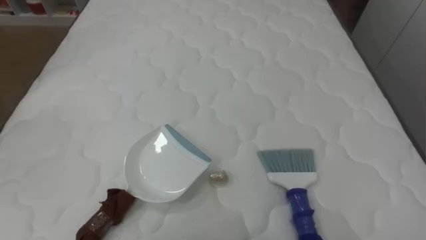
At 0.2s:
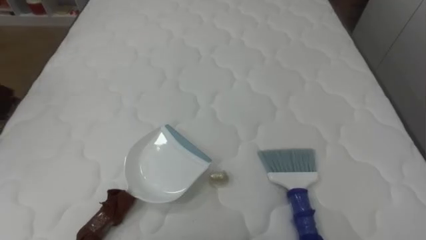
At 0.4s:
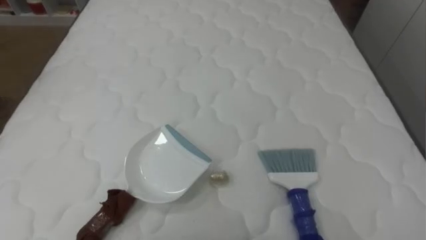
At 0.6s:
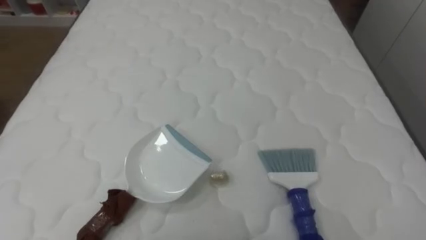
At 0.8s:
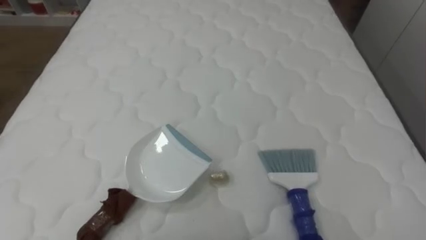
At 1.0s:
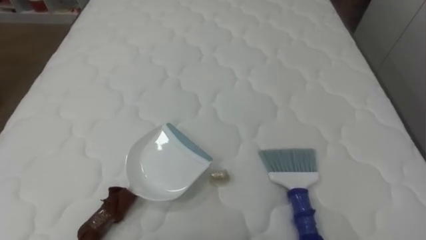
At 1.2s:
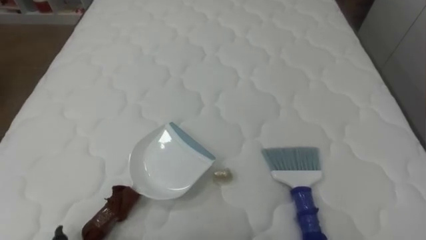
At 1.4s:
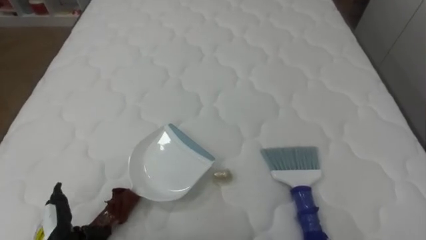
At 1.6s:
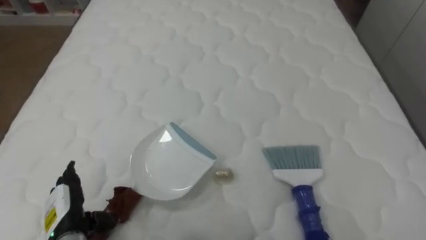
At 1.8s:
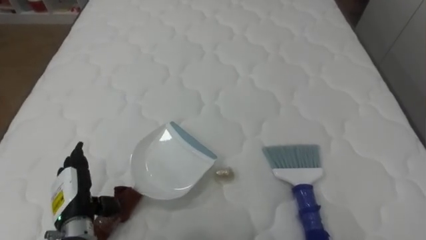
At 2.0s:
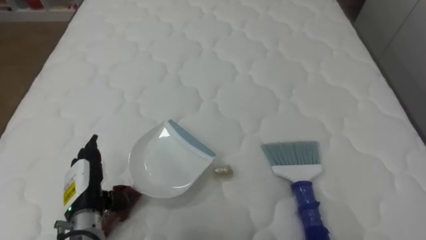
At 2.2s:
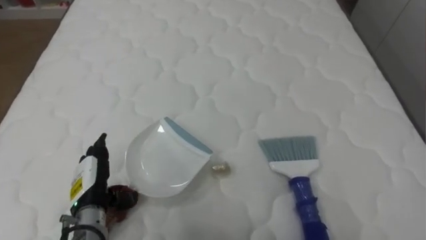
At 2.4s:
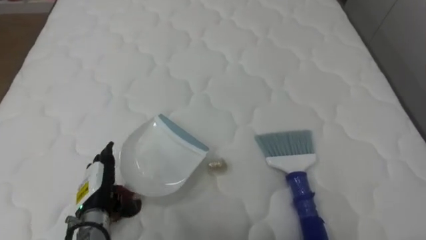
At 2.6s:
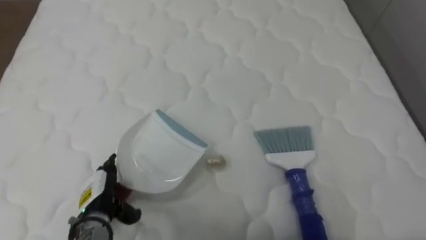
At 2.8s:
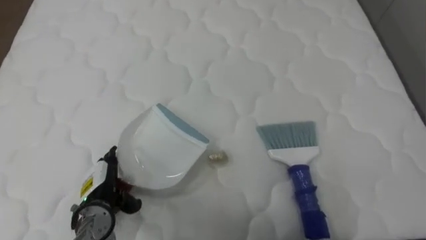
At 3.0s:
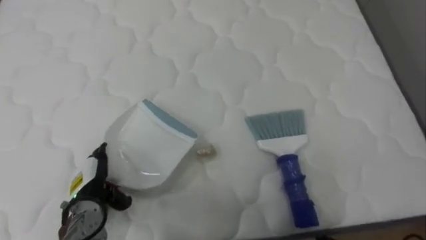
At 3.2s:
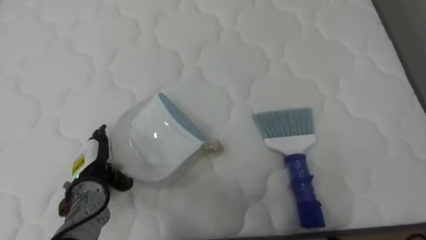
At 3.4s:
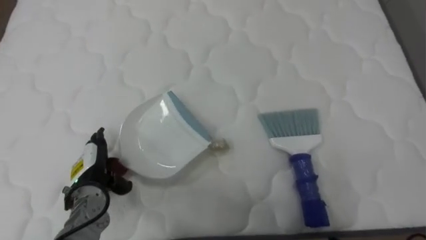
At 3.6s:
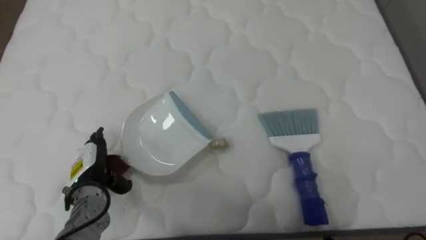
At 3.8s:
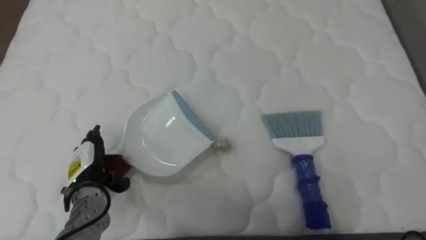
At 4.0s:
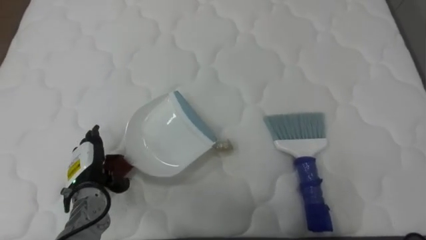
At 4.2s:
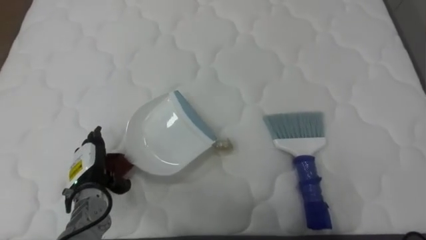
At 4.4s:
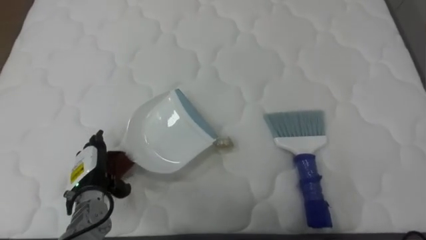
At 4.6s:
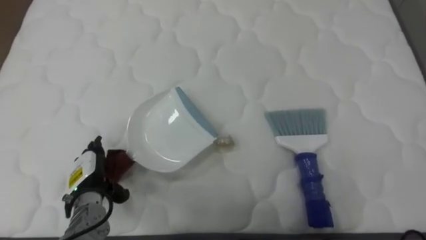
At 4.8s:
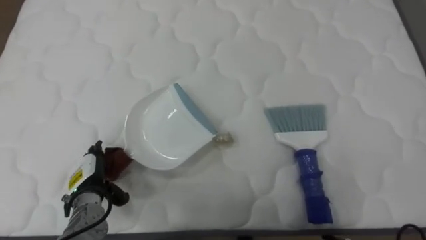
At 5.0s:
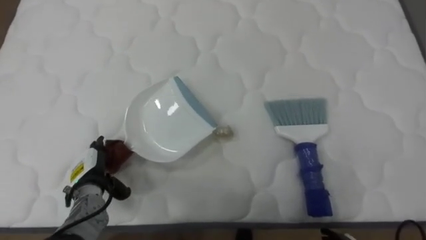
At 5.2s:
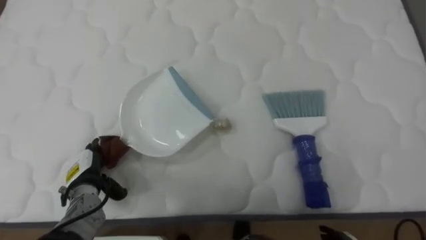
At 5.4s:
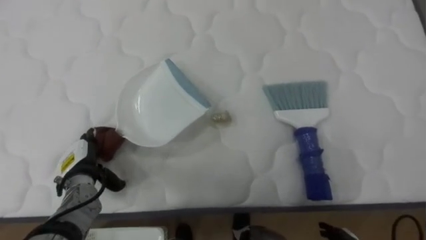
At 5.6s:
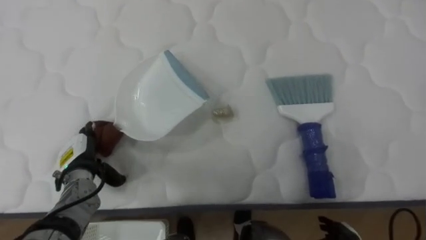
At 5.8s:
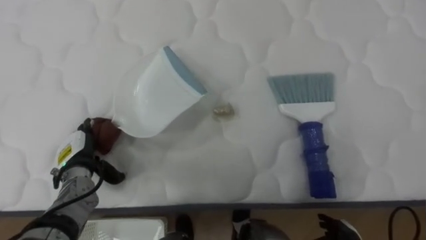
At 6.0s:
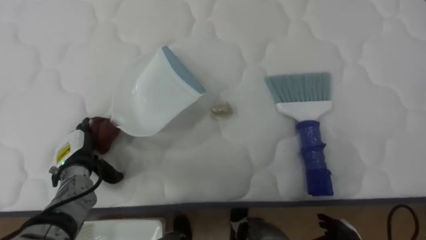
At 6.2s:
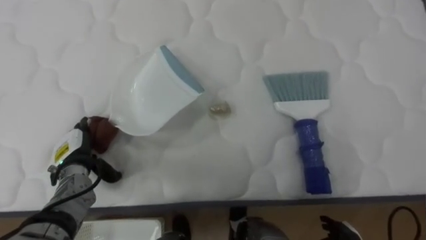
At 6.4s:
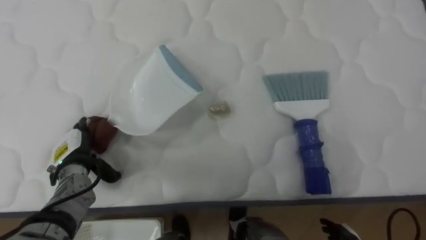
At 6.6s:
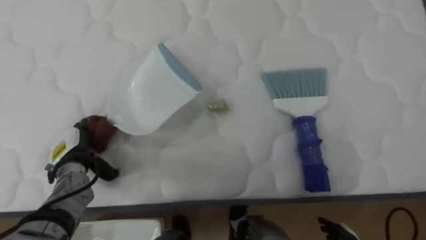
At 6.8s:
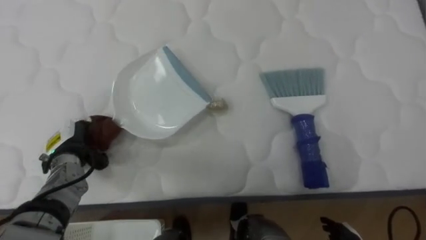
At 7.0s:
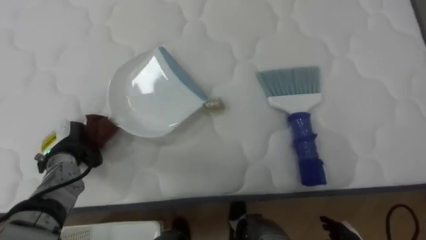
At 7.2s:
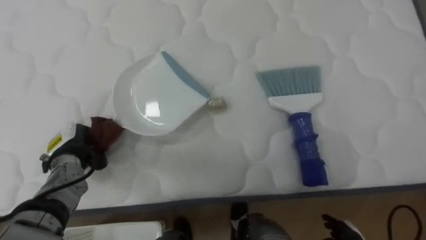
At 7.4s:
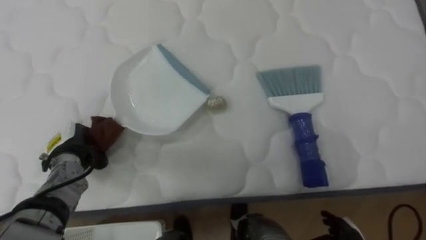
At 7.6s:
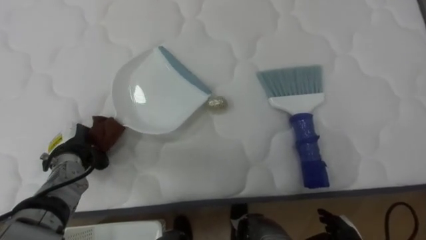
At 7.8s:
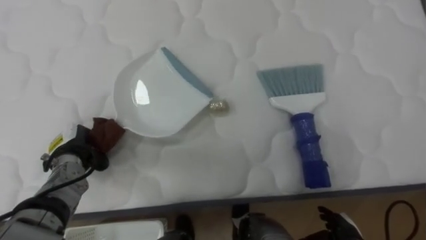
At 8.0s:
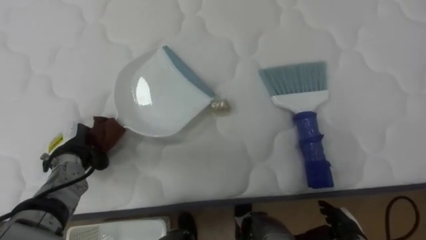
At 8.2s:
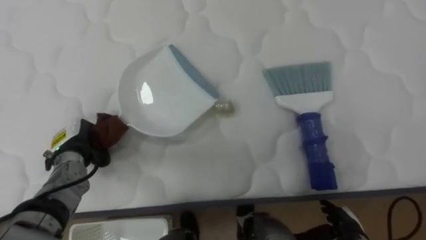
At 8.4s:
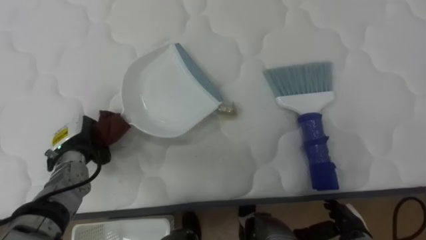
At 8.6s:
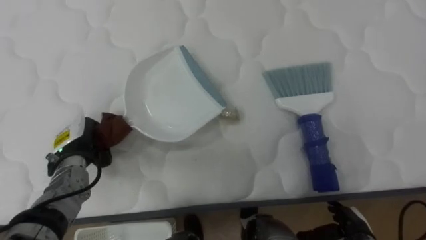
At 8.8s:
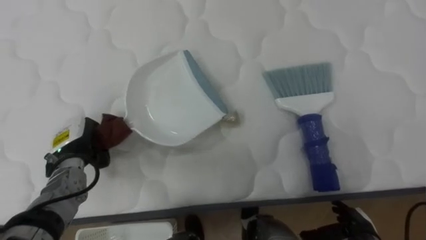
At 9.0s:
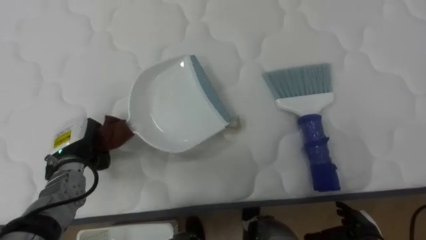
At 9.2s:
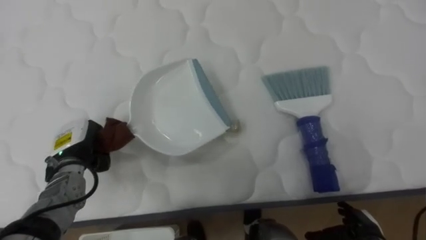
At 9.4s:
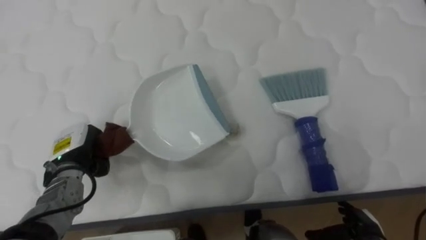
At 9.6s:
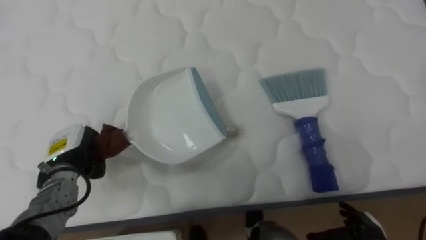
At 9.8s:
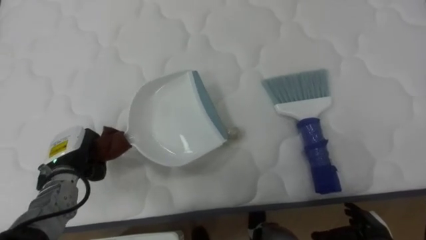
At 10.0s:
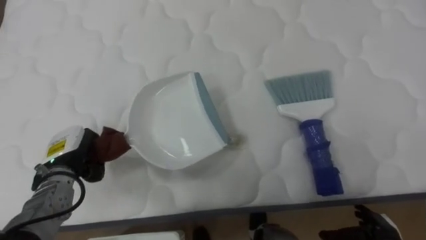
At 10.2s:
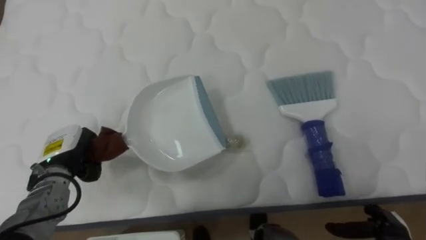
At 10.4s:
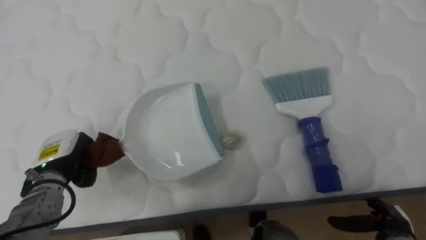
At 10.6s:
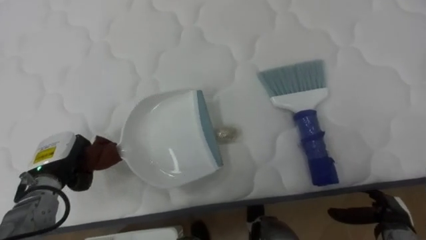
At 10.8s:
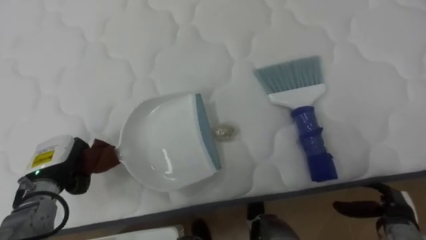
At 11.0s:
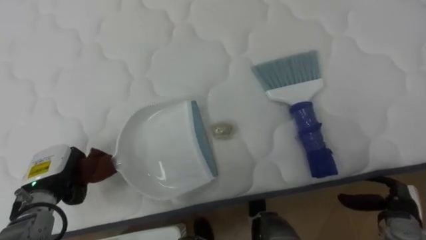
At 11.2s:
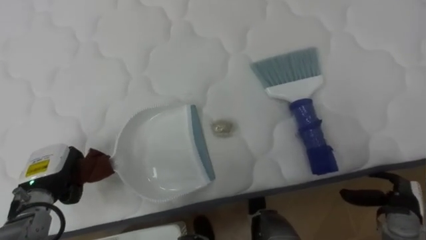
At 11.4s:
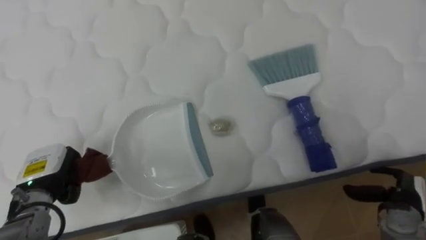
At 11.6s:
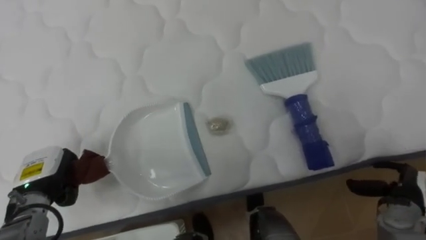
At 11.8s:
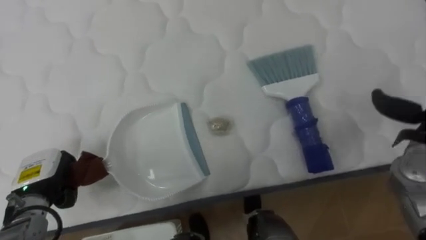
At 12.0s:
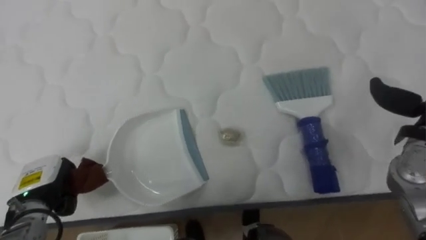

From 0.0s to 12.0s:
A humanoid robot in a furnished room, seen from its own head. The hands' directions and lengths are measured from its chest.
Task of the whole recording: Pick up the brush on your right and the dustpan on your left. Use the brush to sweep the crumpled paper on the bed into the dustpan, then turn left and empty it into the basket.
From 1.6s to 3.0s: The left hand travels forward by some 5 cm.
From 6.0s to 7.6s: The left hand closes up.
From 9.0s to 10.4s: The right hand shifts about 5 cm to the right.
From 10.4s to 12.0s: The left hand heads backward, covering approximately 5 cm.

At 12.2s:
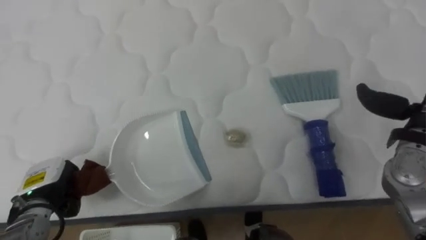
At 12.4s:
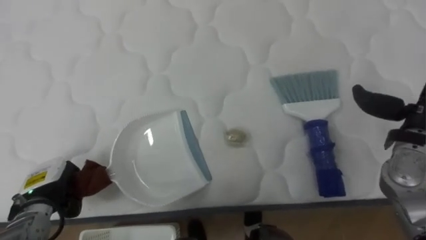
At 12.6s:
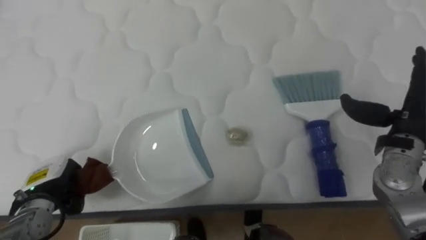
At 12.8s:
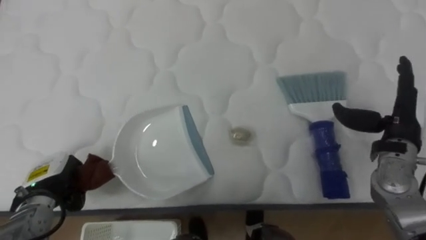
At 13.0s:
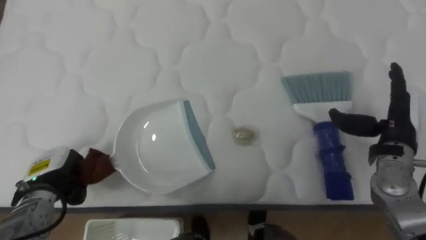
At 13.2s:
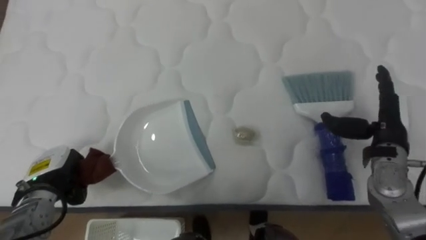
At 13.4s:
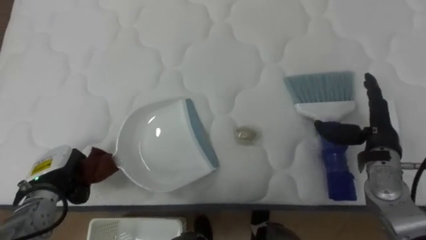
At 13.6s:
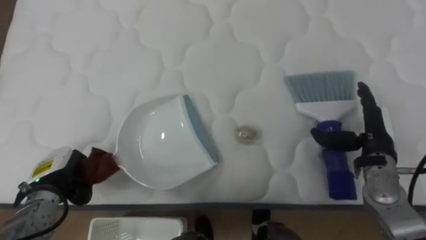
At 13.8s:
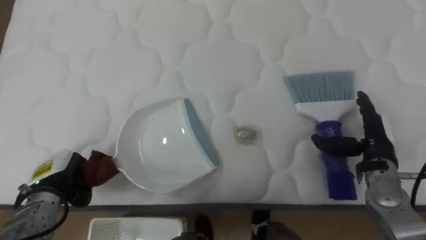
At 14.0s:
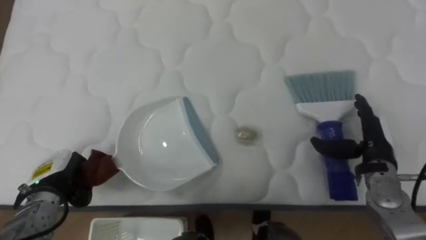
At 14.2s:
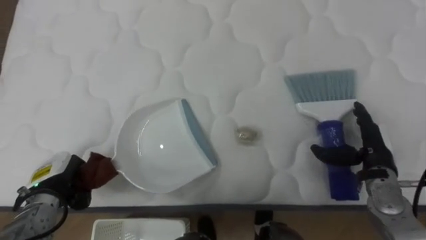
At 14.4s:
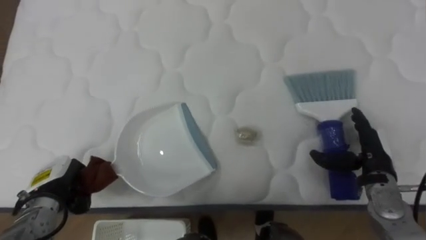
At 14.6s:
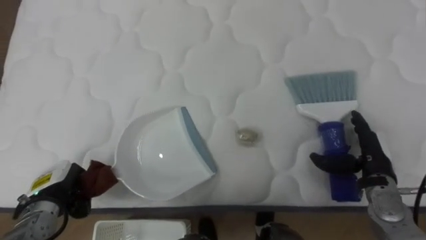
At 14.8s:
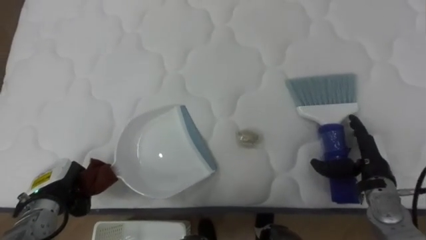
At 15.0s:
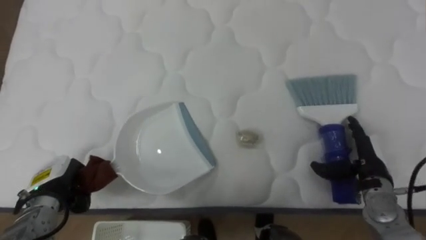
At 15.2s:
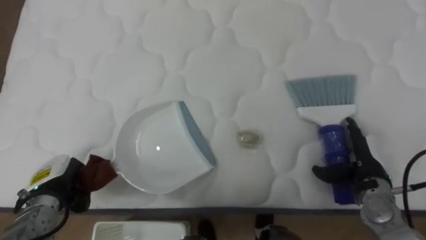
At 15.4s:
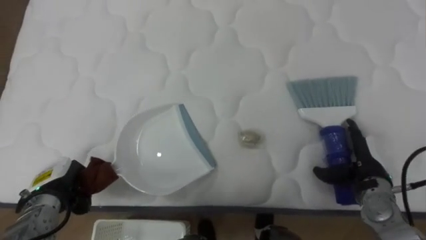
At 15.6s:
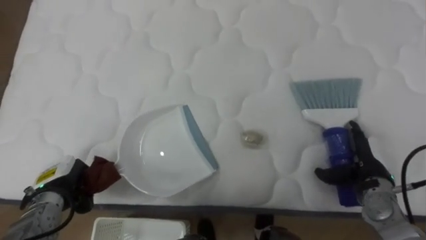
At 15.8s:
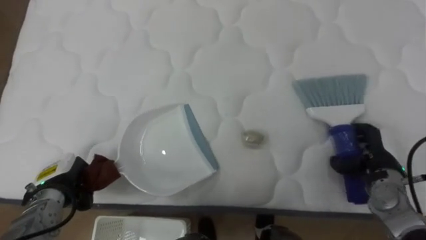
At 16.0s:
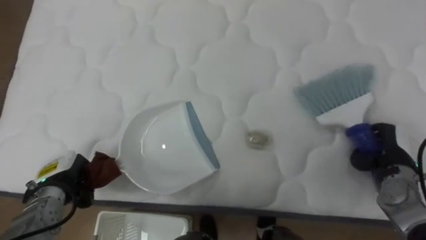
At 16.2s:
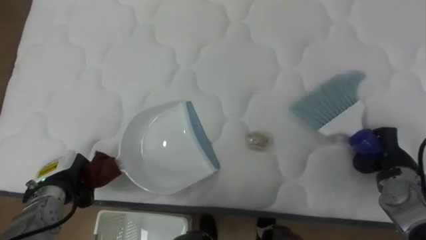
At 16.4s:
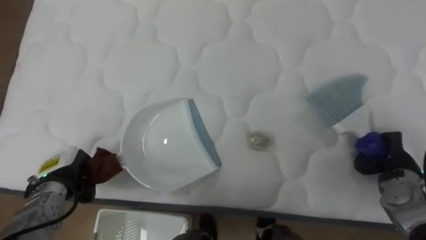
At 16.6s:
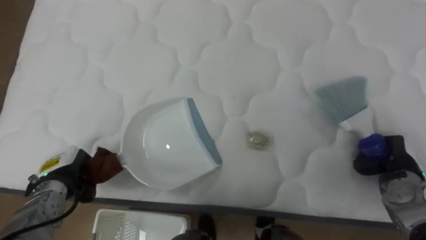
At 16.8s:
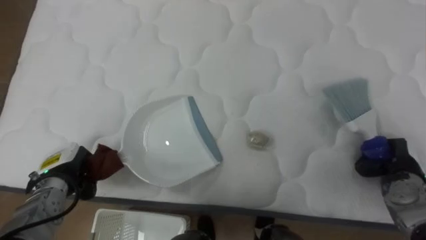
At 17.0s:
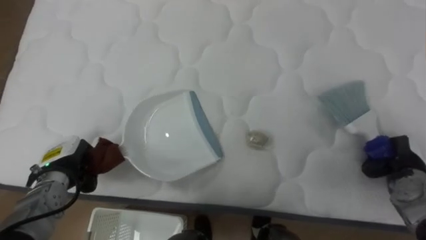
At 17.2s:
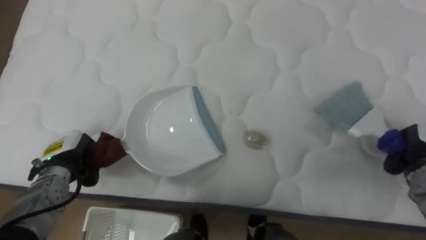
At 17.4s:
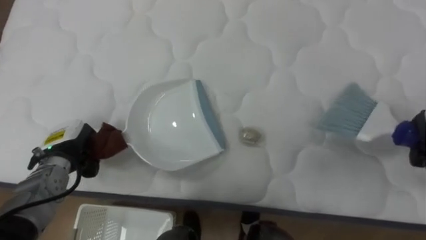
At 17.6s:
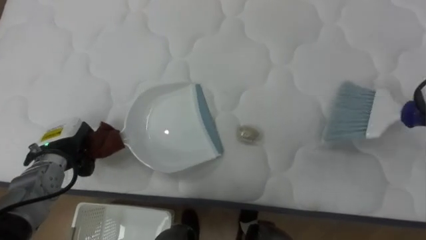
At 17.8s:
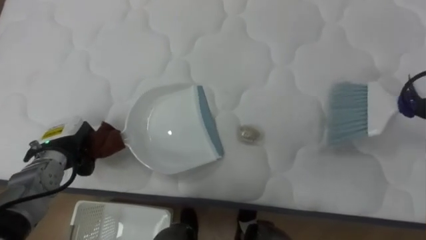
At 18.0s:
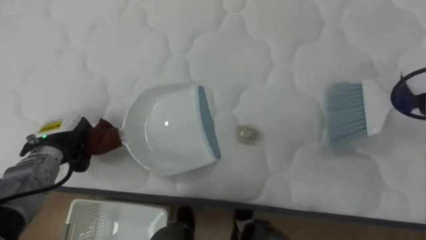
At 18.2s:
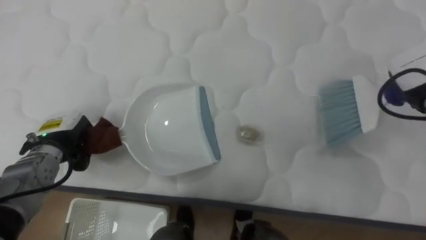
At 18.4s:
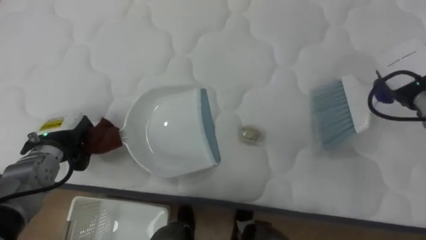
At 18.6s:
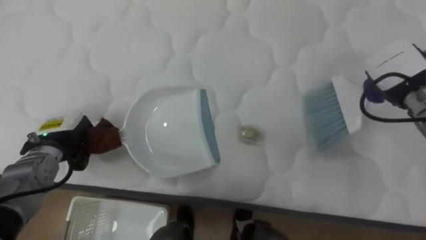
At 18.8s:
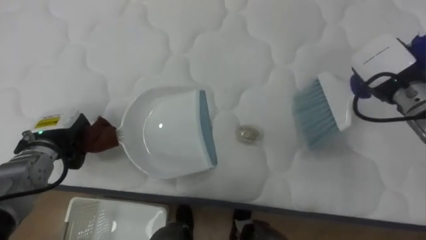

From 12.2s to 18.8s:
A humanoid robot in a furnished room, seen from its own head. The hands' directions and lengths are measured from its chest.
Task of the whole recording: Pick up the brush on your right and the dustpan on your left. Use the brush to sweep the crumpled paper on the bed into the dustpan, then turn left and empty it into the basket.
From 12.2s to 13.8s: The right hand goes some 10 cm downward.
From 13.8s to 15.4s: The right hand heads downward, covering about 5 cm.
From 15.4s to 17.2s: The right hand travels to the right by about 10 cm, and closes its fingers, while the left hand shifts by approximately 5 cm.
From 17.2s to 18.8s: The left hand ends up about 5 cm from where it was.
